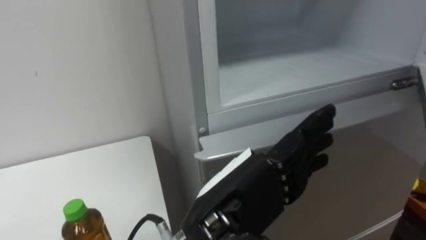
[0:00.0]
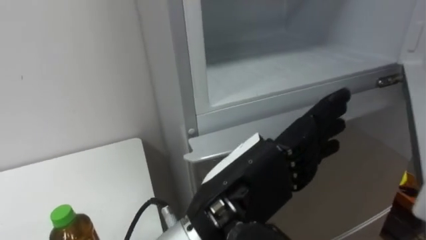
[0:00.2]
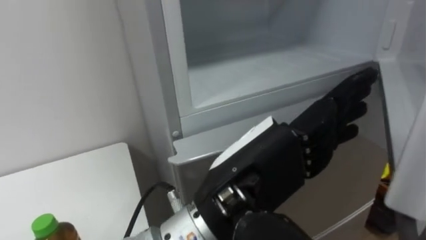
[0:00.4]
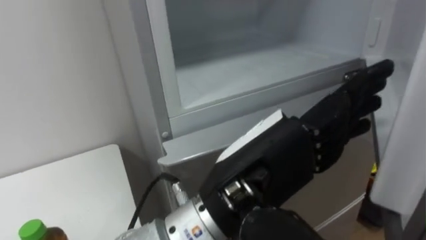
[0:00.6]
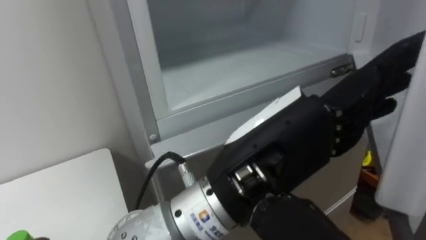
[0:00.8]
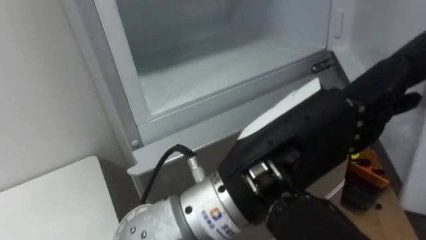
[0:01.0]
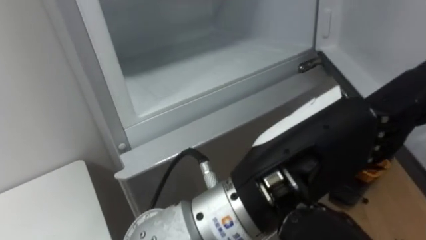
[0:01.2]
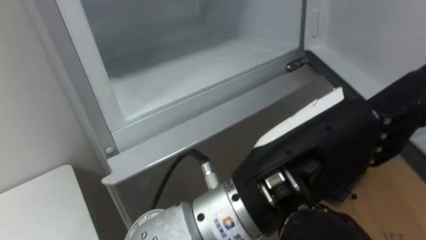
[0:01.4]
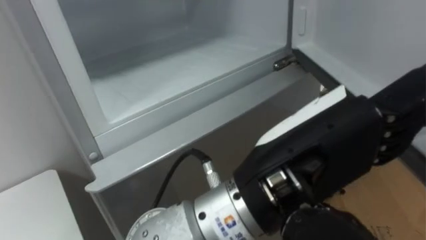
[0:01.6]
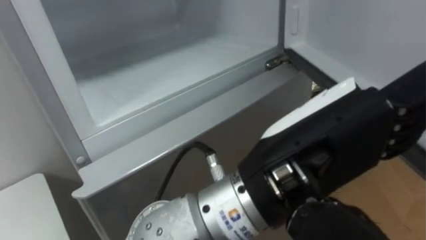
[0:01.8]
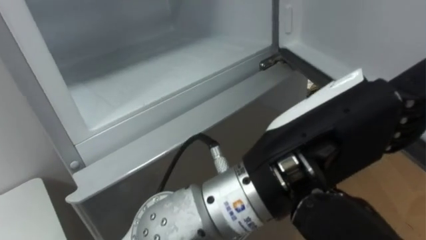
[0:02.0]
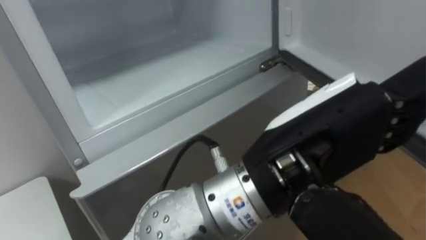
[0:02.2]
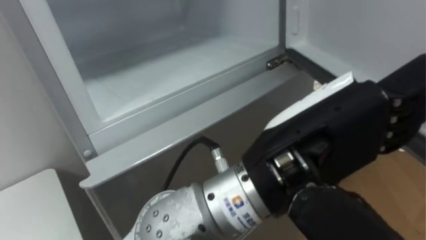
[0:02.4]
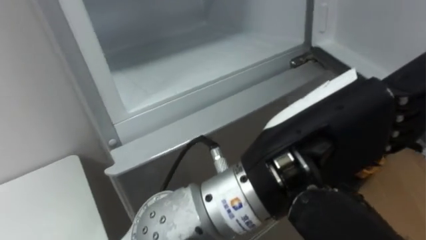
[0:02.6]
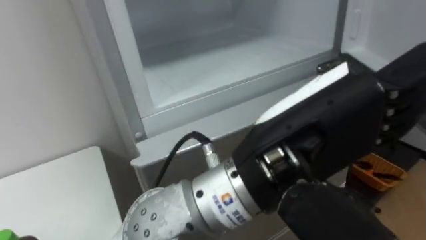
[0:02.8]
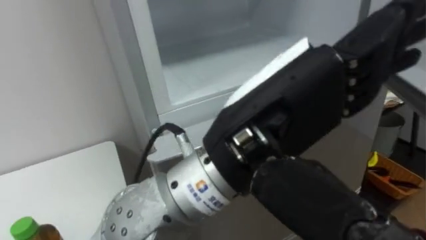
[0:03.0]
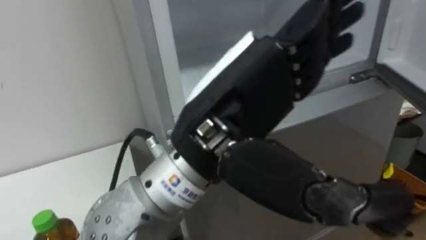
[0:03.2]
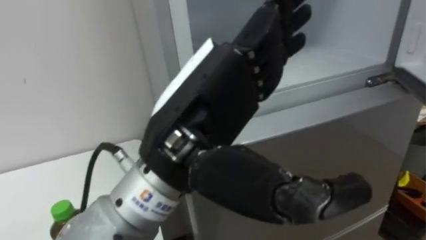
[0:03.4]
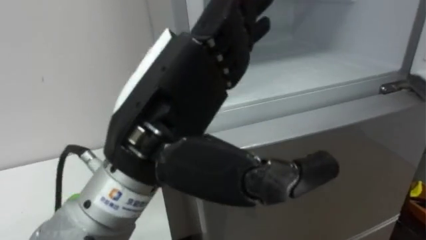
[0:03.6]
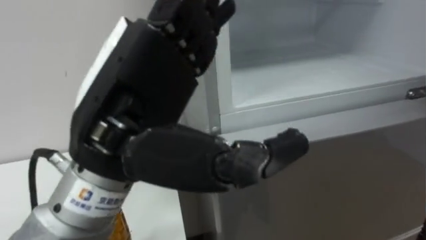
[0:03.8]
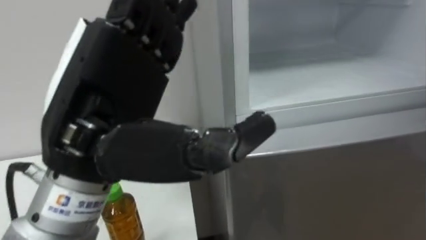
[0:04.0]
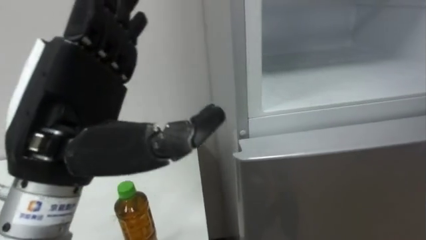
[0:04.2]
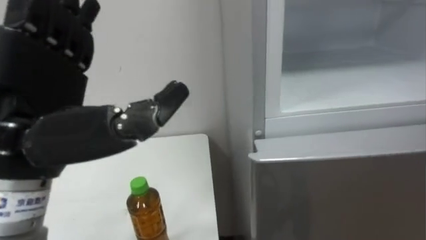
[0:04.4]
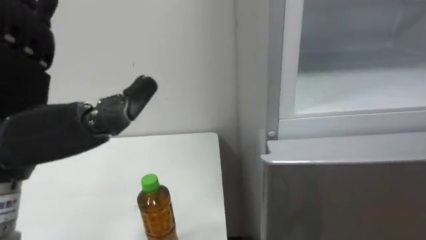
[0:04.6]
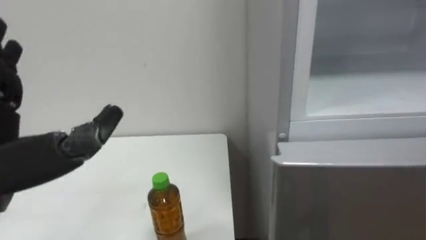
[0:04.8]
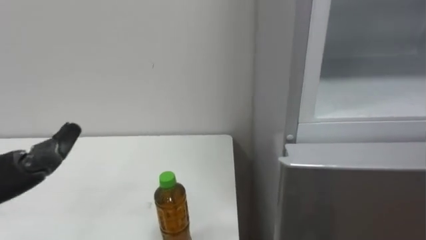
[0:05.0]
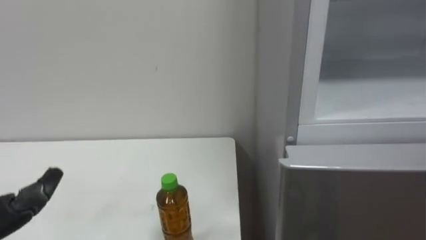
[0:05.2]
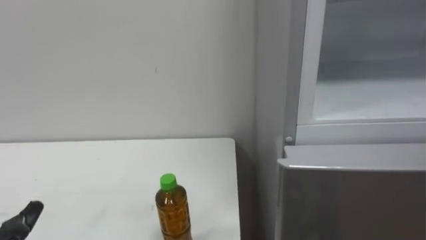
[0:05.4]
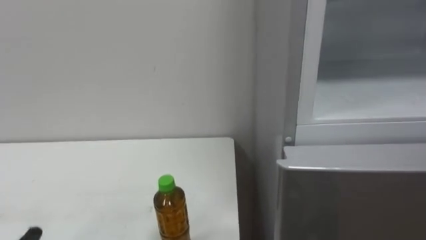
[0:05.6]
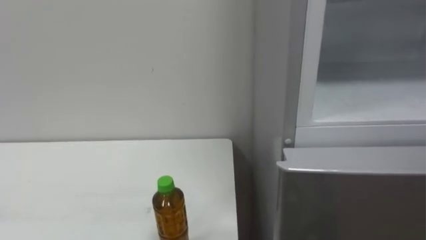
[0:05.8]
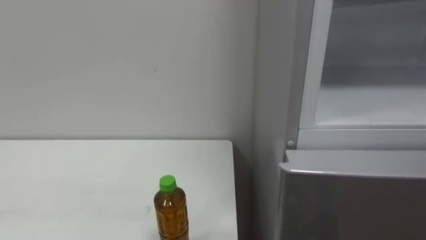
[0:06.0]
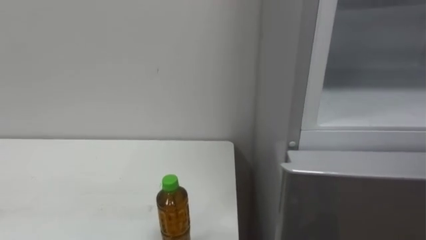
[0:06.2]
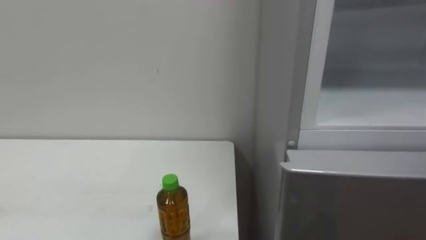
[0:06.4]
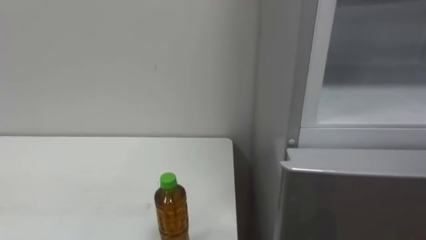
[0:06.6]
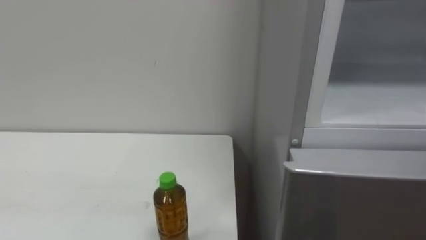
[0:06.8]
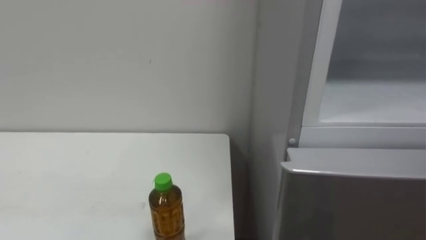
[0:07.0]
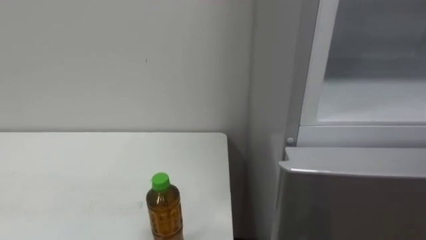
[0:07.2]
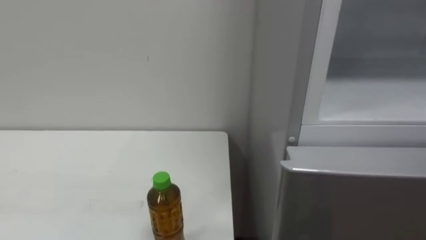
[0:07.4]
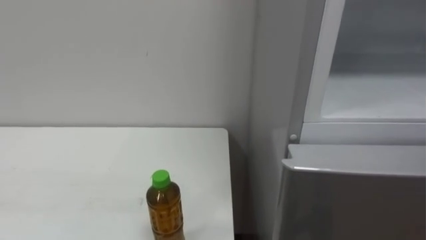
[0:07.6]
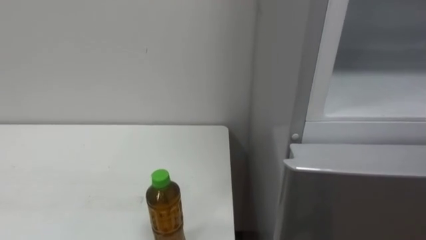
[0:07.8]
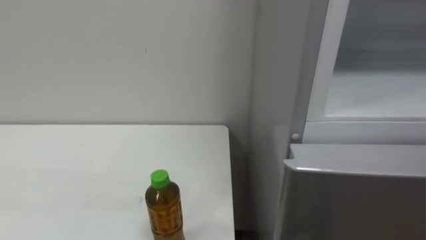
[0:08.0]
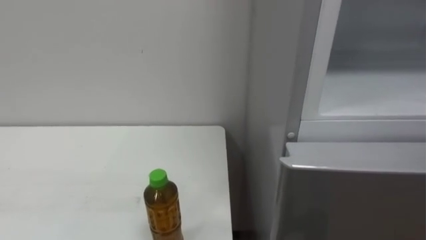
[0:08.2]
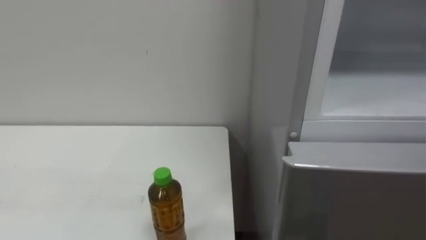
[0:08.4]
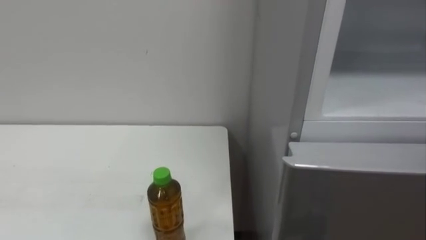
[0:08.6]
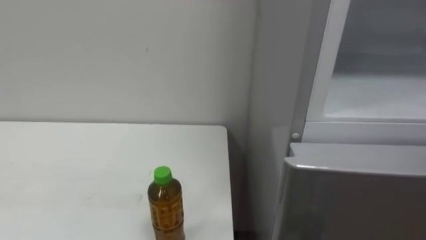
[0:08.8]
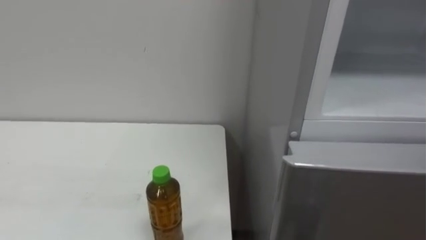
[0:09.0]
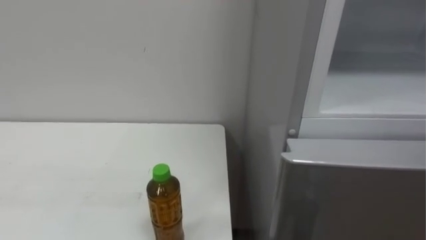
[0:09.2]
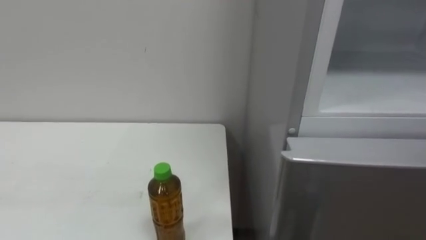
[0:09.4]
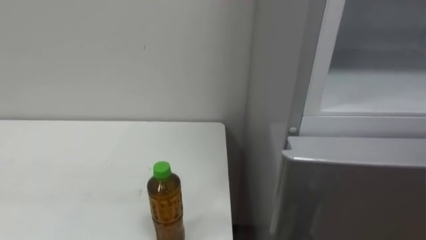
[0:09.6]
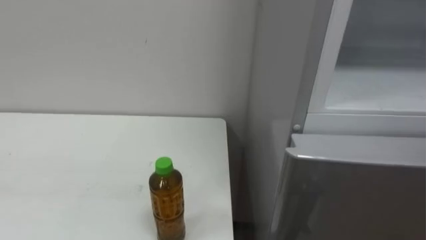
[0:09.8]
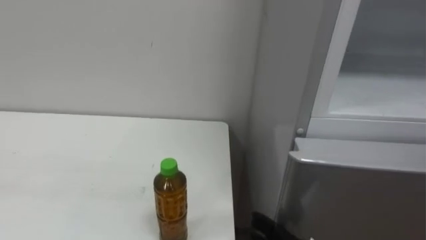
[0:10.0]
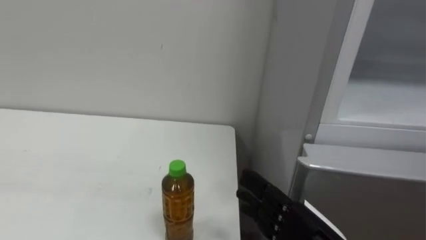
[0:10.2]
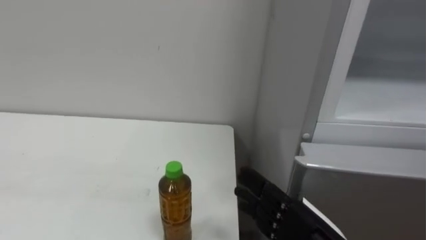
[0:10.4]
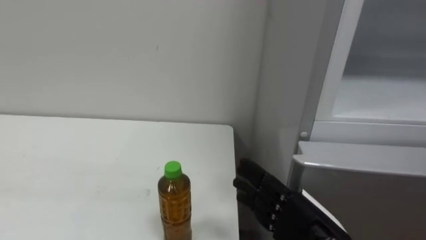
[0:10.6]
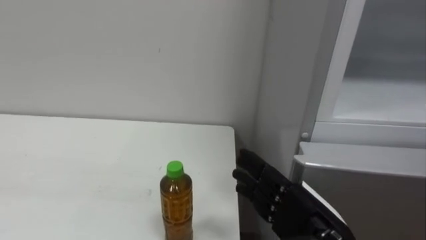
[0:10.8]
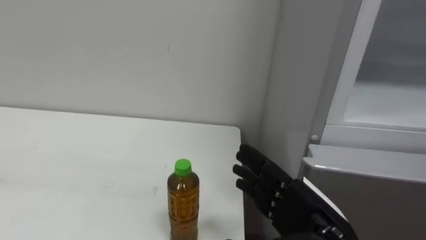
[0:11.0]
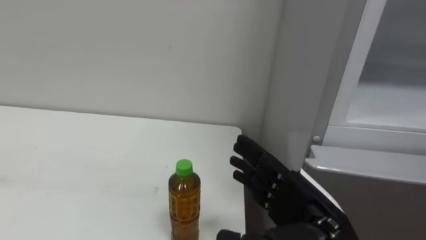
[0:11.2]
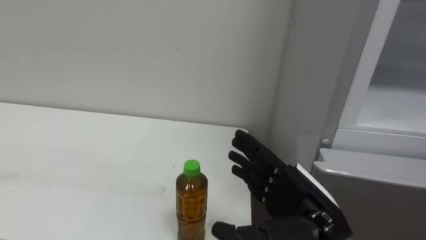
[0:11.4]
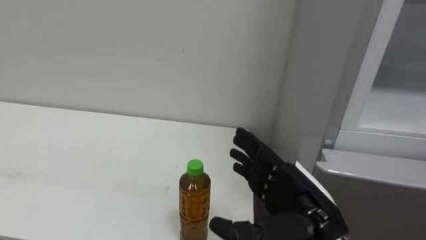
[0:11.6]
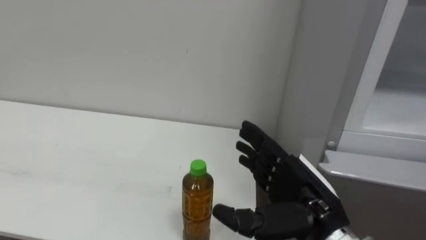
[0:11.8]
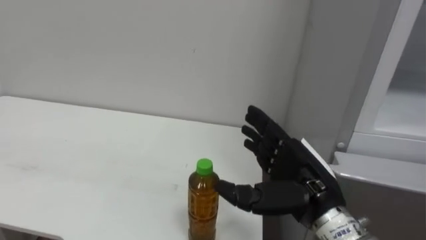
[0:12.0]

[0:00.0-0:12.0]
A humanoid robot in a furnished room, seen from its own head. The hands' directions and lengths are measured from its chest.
Task of the whole recording: Open the upper refrigerator door, put the drink from the table into the refrigerator, and then close the refrigerator door.
0:00.0 to 0:01.6: The left hand goes about 10 cm upward.
0:03.0 to 0:04.4: The left hand travels to the left by approximately 20 cm.
0:10.4 to 0:12.0: The right hand heads upward and forward, covering approximately 10 cm.

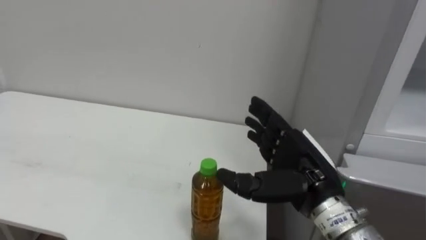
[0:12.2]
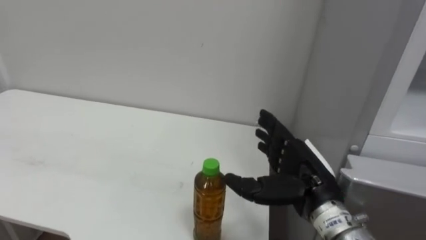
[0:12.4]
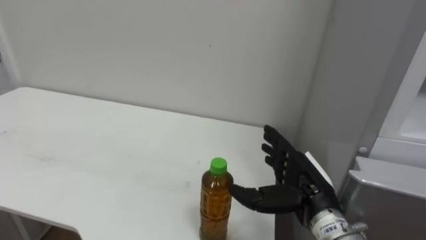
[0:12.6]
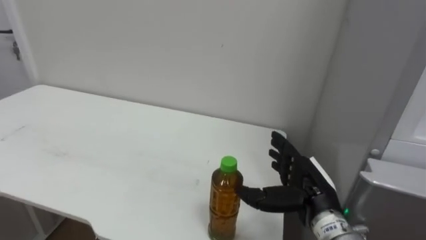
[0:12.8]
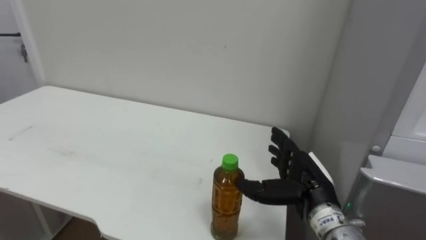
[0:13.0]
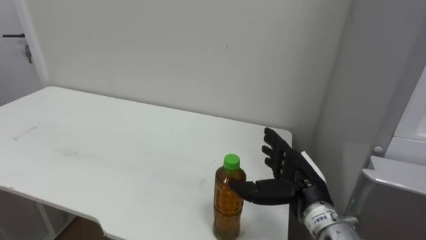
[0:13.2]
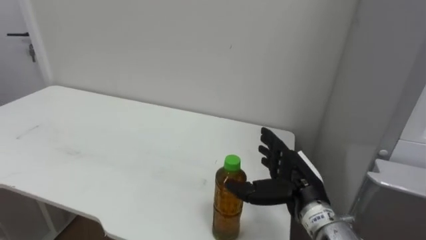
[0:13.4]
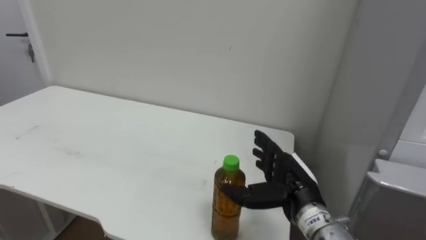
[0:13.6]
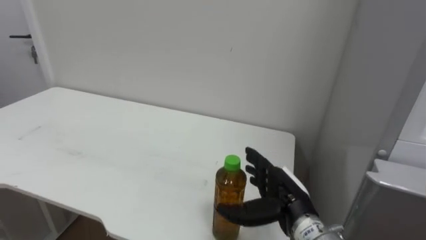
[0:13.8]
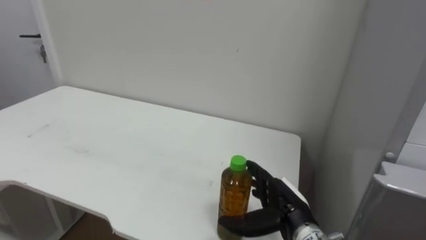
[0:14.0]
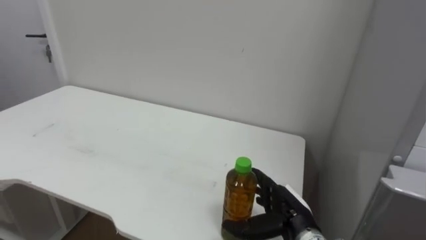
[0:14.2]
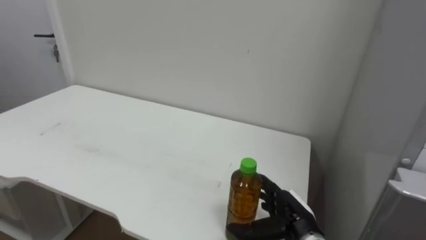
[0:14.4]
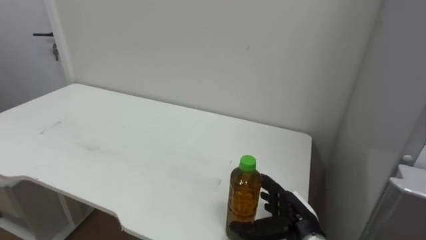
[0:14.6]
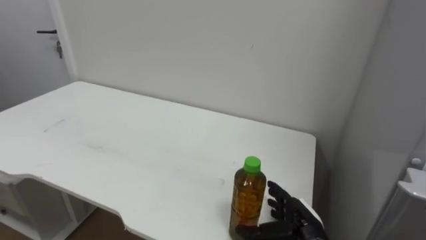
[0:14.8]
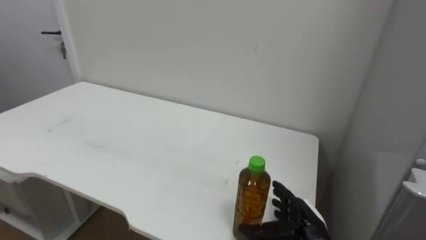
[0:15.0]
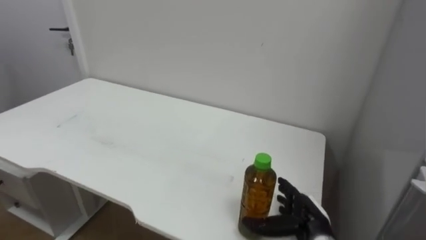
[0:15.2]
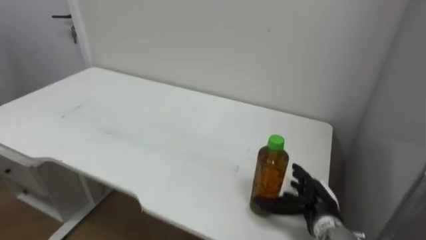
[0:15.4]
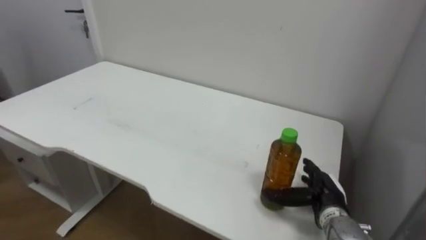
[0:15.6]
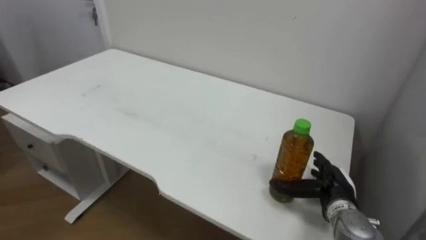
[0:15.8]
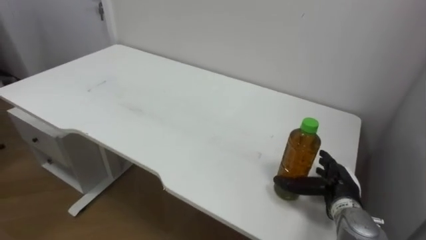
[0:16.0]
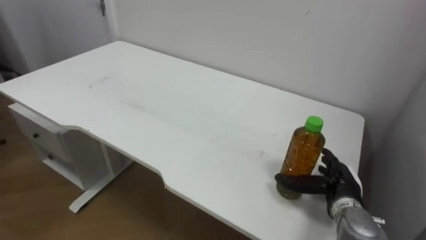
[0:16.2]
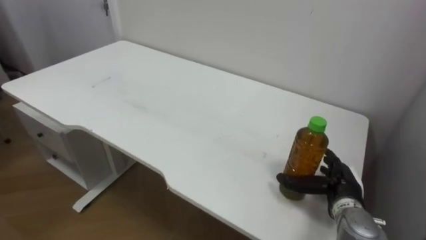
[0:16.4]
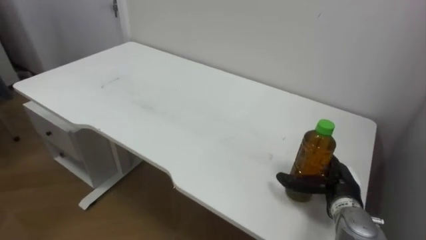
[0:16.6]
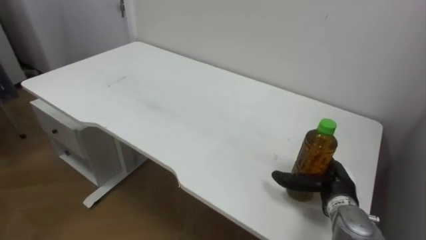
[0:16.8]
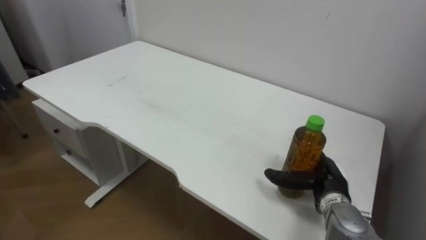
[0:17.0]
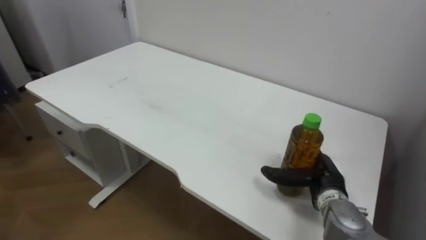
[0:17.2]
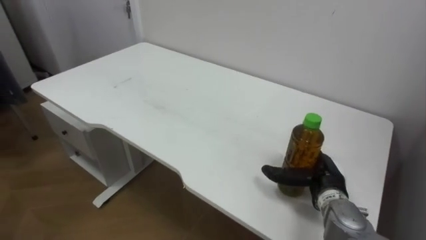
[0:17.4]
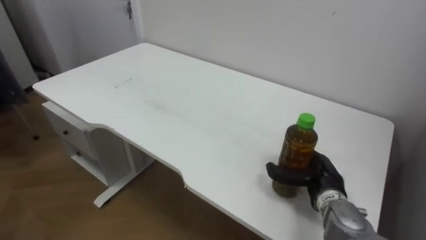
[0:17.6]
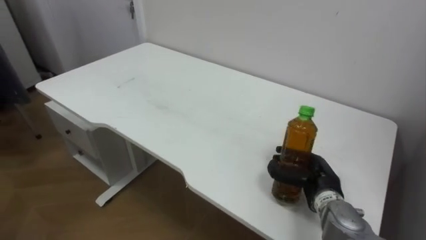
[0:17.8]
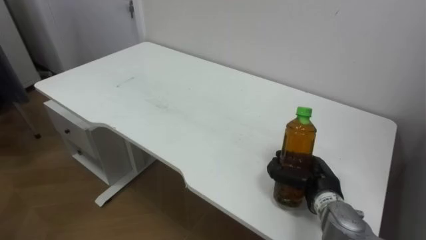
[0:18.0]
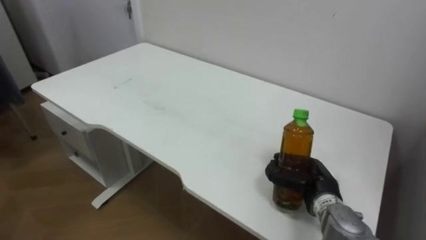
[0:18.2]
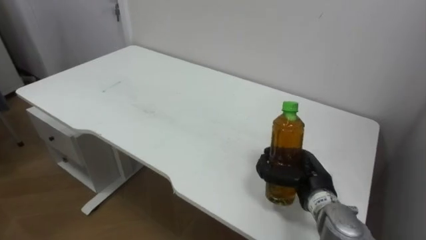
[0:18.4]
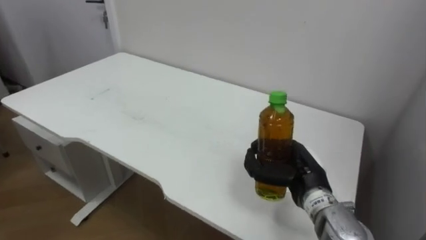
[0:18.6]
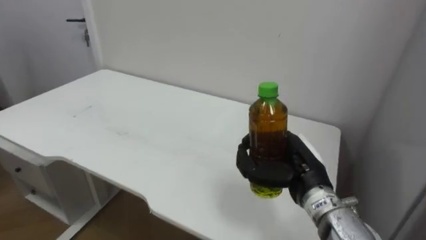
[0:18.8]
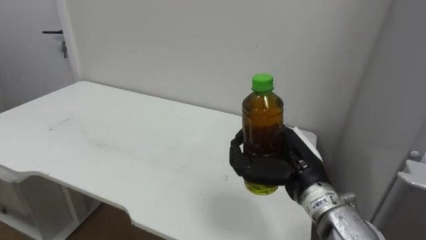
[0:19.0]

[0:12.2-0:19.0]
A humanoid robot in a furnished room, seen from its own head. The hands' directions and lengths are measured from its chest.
Task of the whole recording: Open the upper refrigerator door, put the drink from the table into the refrigerator, and then close the refrigerator door.
0:12.2 to 0:13.6: The right hand shifts roughly 5 cm downward.
0:13.6 to 0:15.0: The right hand goes about 10 cm downward.
0:15.0 to 0:16.2: The right hand heads to the right, covering approximately 5 cm.
0:17.6 to 0:19.0: The right hand goes approximately 15 cm upward, to the left and backward, and closes its fingers.
